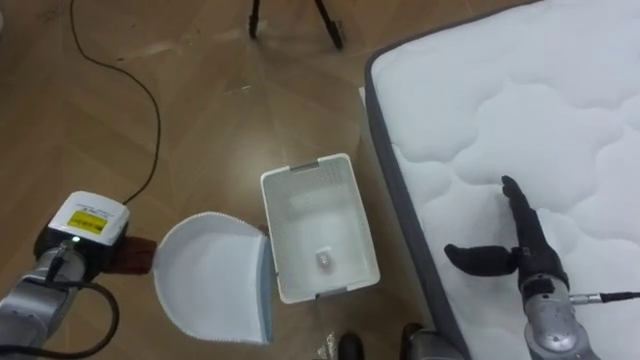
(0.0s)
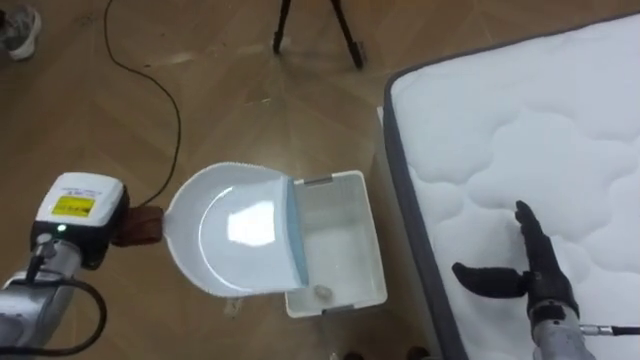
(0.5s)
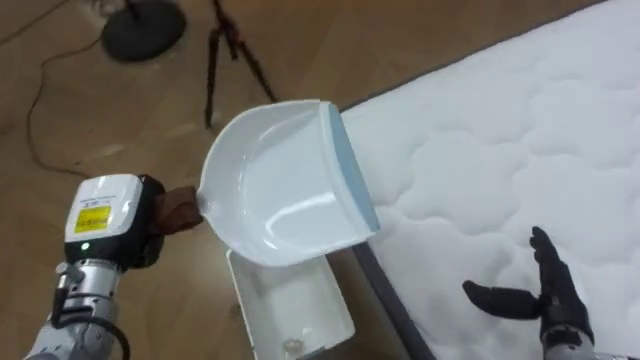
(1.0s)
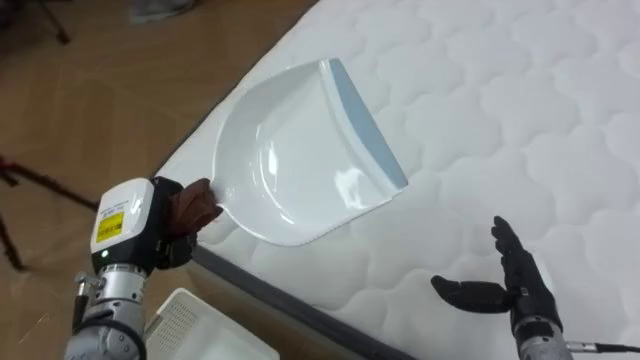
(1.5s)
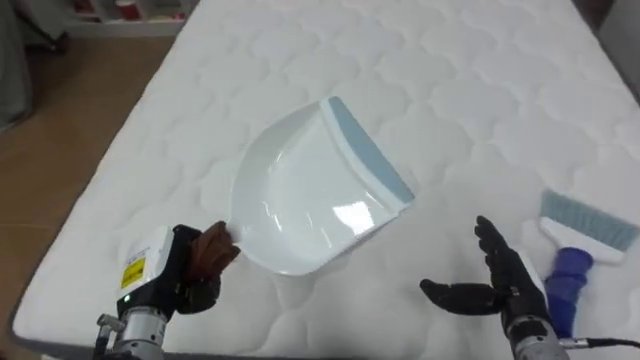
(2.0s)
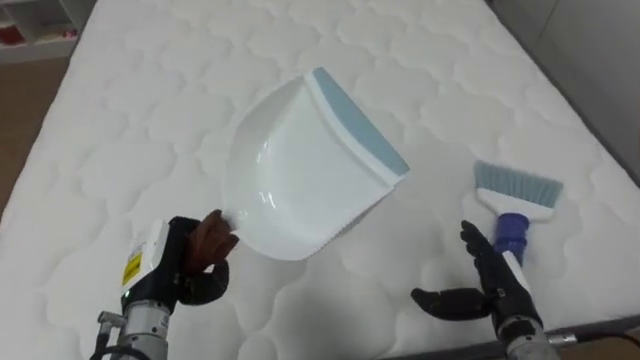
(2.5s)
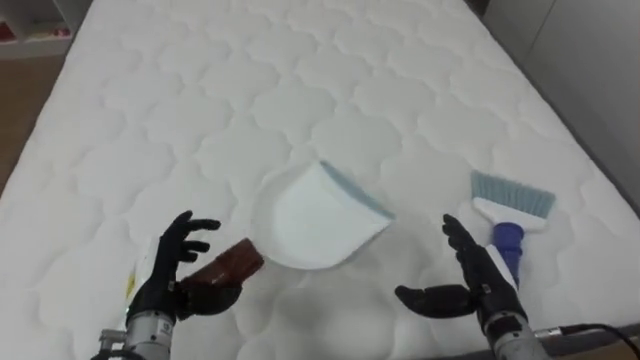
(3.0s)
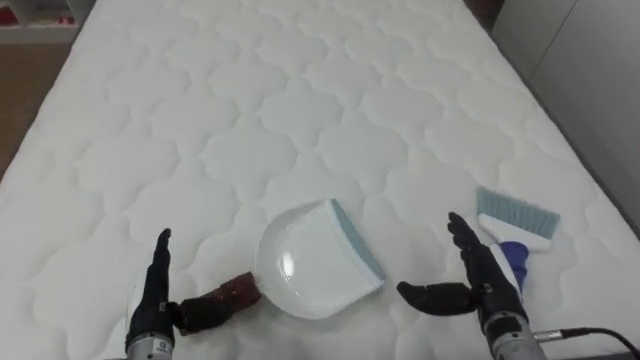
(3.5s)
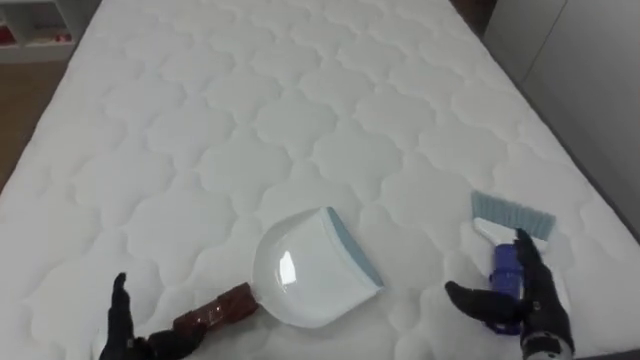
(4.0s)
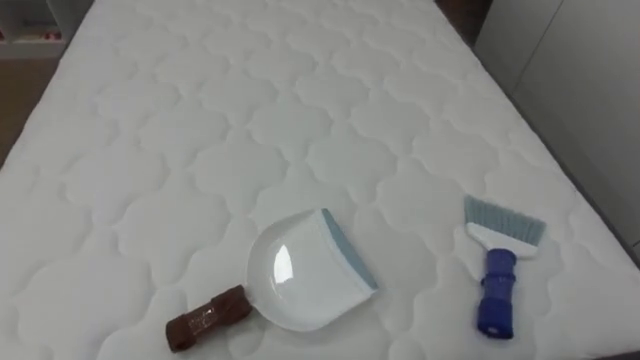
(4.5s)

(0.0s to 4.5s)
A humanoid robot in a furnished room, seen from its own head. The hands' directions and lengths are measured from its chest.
Task of the whole recording: Pick up the brush on your right and the dustpan on your left. Use the brush to sweep the crumpled paper on the bed into the dustpan, then turn left and empty it into the basket.
0.0s - 2.0s: The robot turns to its right by some 80 degrees. The left hand is displaced to the right and backward by about 10 cm. Meanwhile the right hand moves approximately 5 cm.

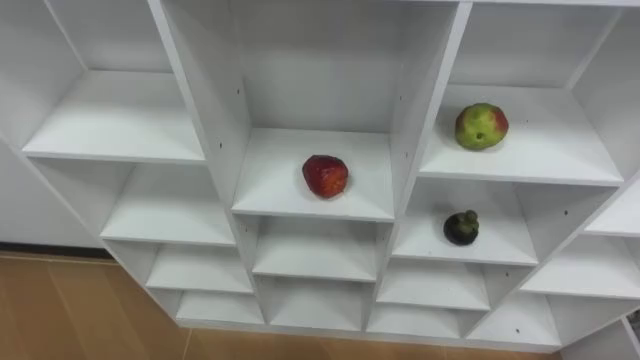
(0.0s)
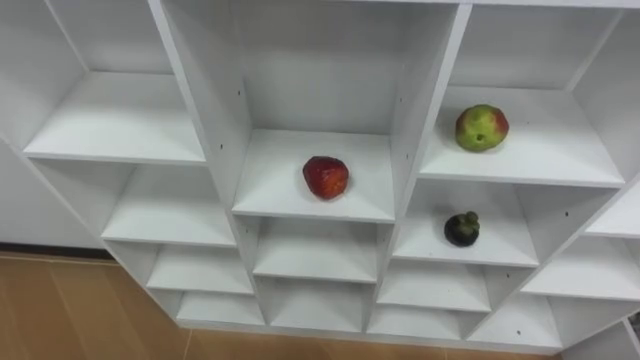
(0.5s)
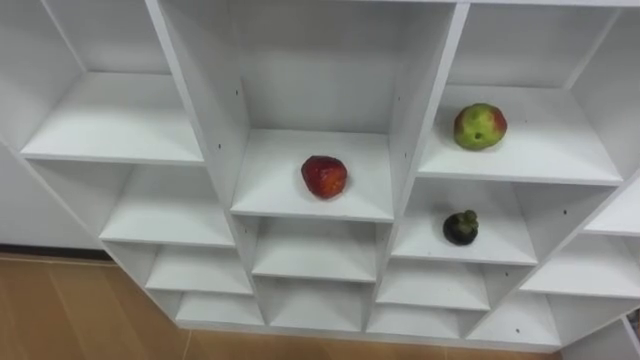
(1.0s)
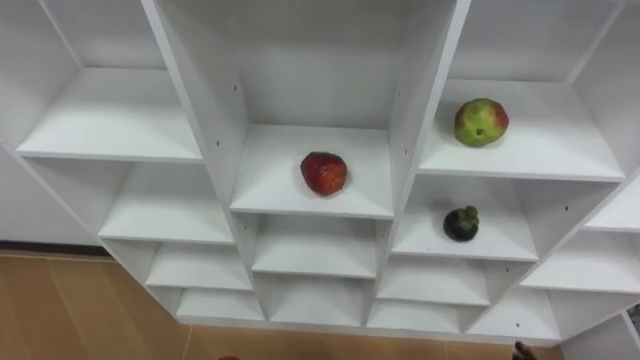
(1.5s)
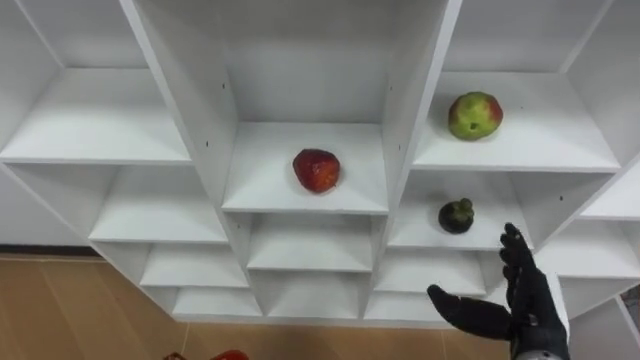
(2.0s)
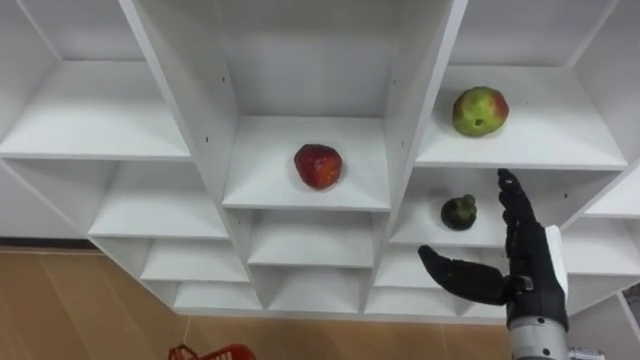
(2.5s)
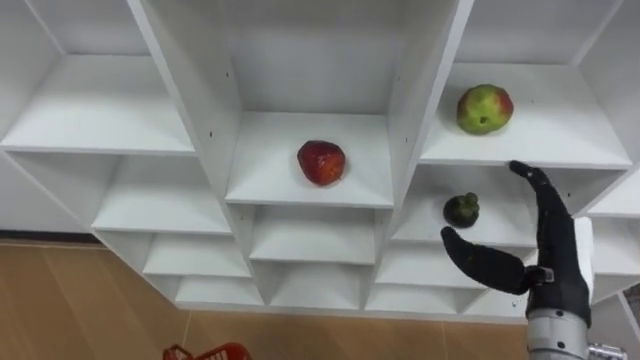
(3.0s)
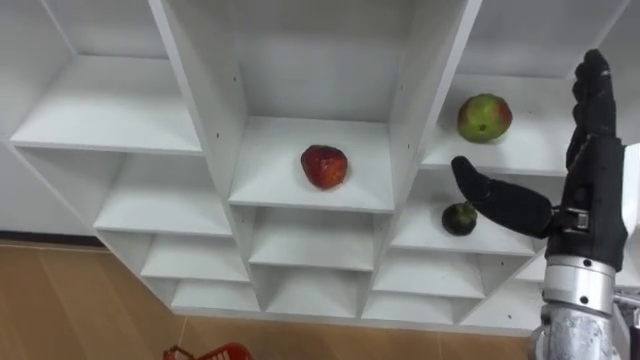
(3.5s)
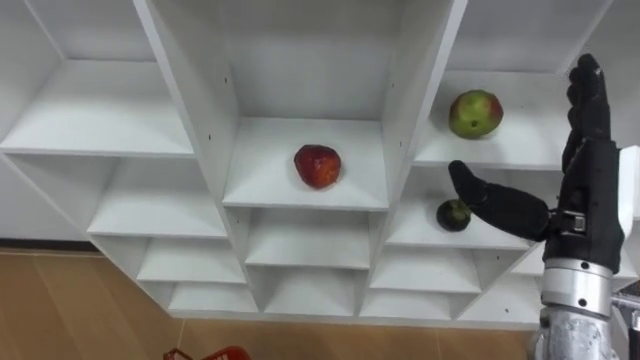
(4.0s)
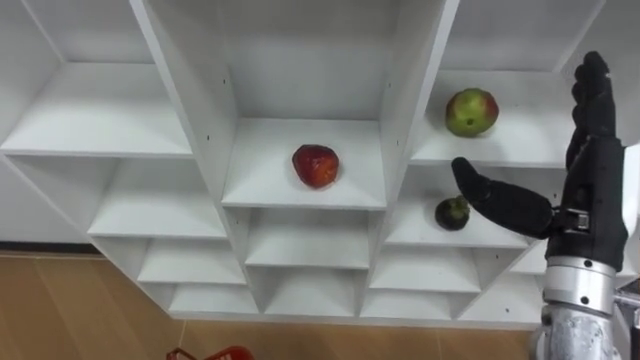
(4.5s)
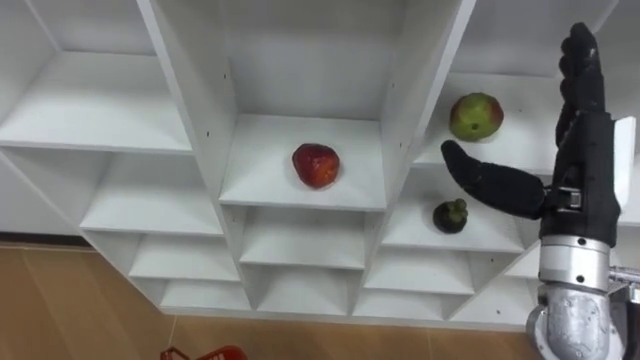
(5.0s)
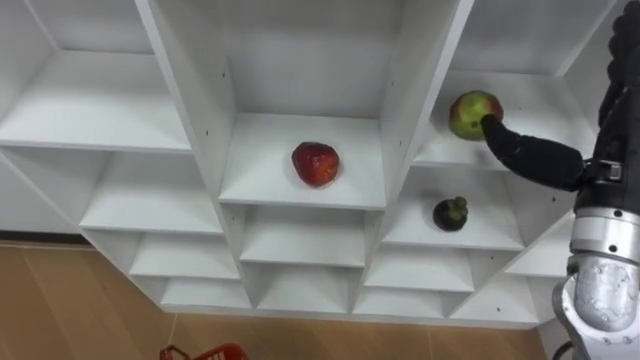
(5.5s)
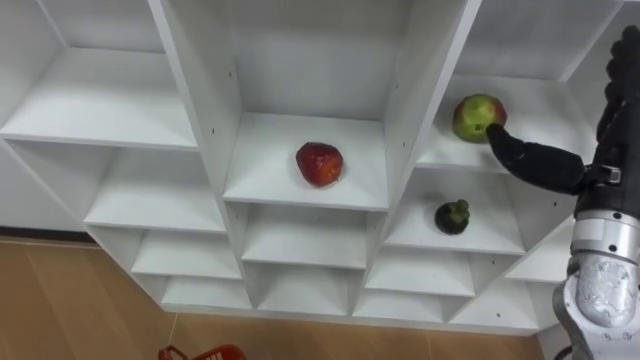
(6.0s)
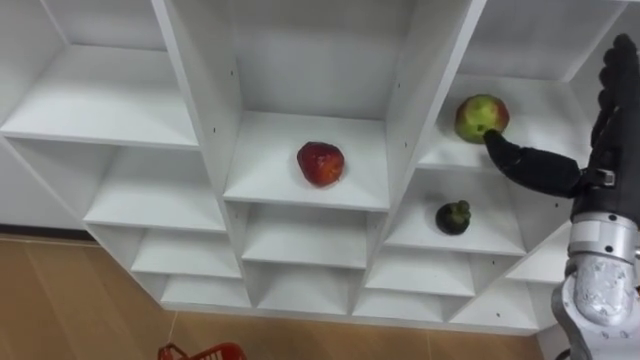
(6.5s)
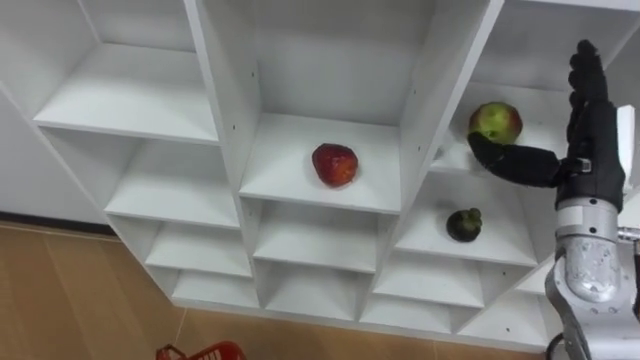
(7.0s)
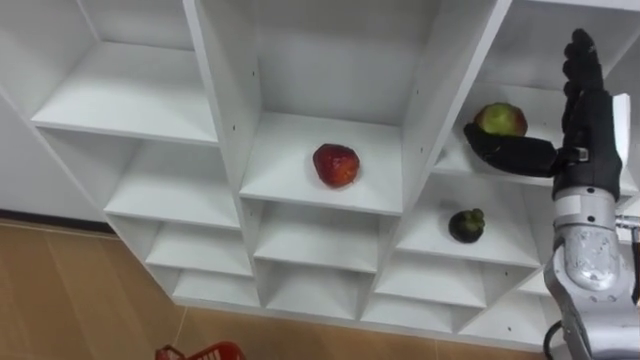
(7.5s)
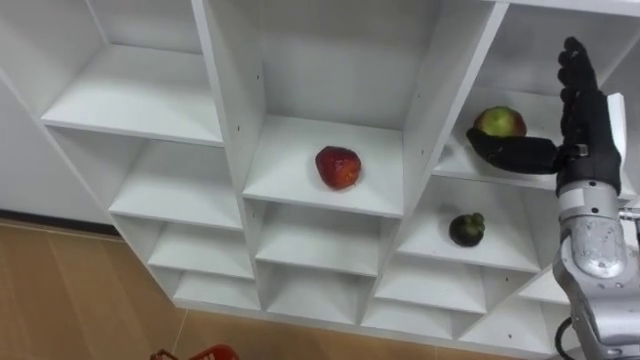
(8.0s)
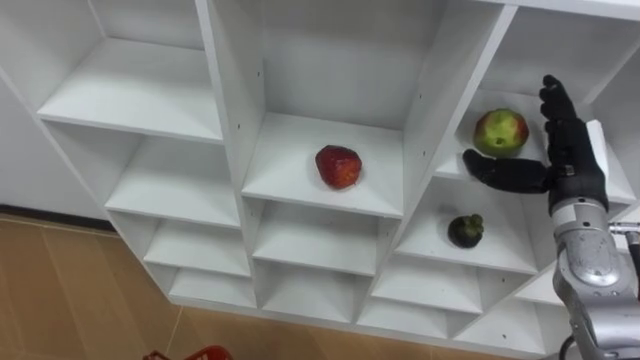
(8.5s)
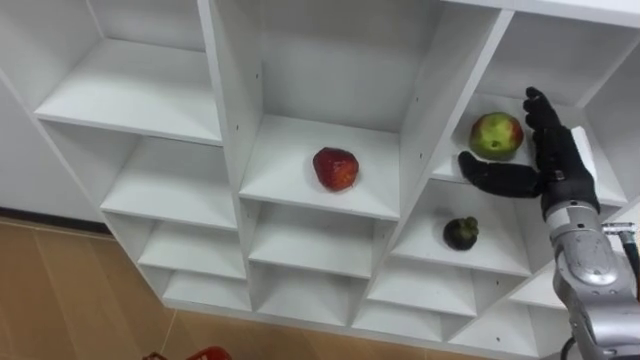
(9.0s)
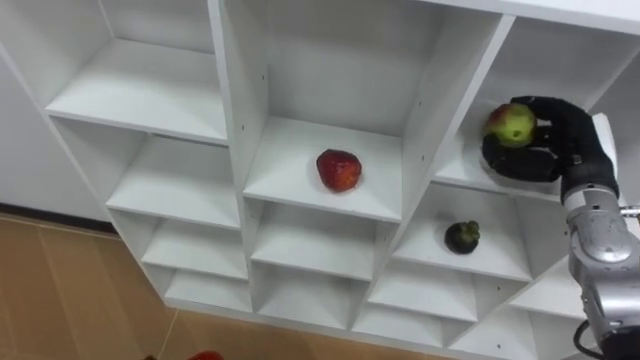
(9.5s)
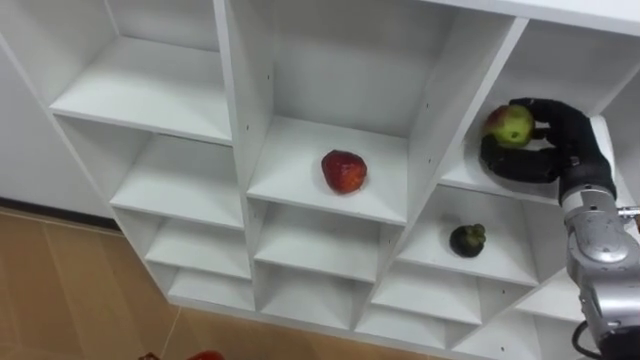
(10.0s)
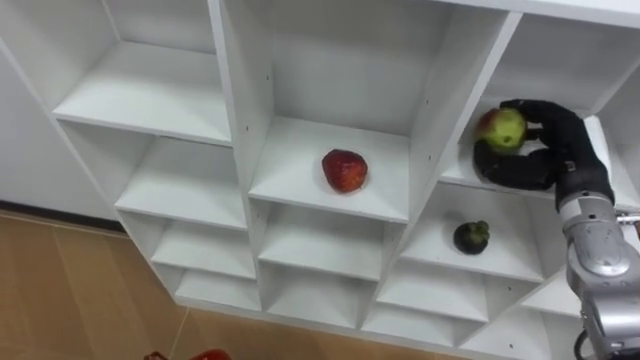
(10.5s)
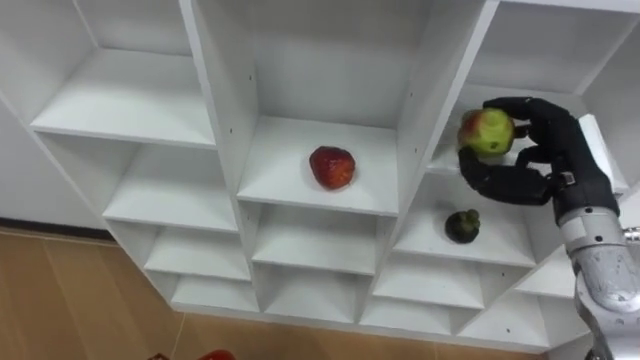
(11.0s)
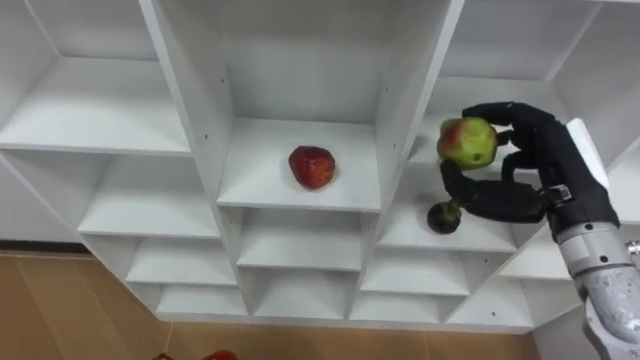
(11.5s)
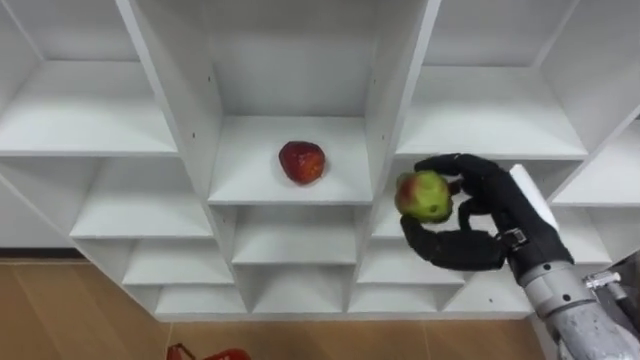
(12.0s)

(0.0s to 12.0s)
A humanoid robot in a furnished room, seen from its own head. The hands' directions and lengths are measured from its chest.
Task of the whole recording: Hold the basket and collect the fruits from 3 different cells of the closet into it.
2.0s - 4.0s: The right hand goes some 15 cm upward.
4.0s - 6.0s: The right hand shifts by some 5 cm.
6.0s - 8.0s: The right hand ends up roughly 5 cm from where it was.
8.0s - 10.0s: The right hand moves downward, roughly 5 cm, and closes.
10.0s - 12.0s: The right hand travels to the left and backward by approximately 15 cm.

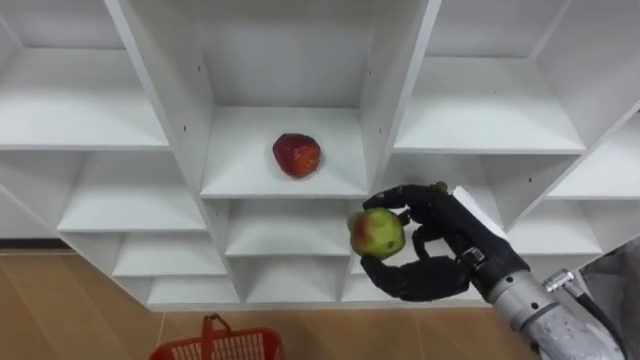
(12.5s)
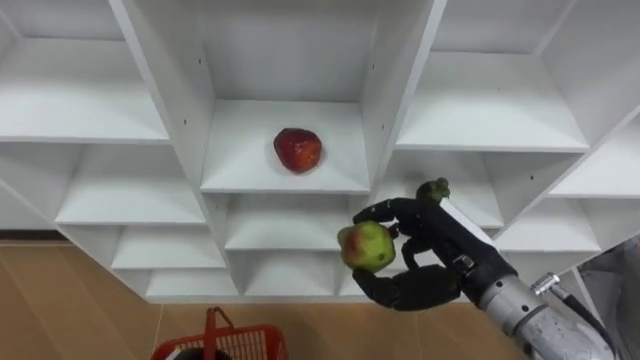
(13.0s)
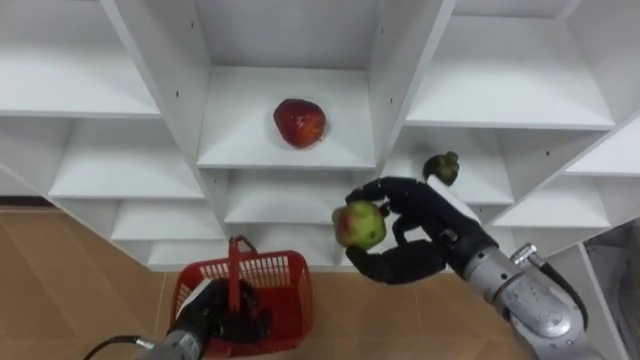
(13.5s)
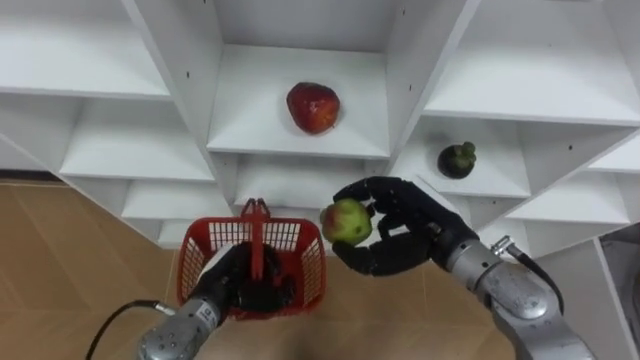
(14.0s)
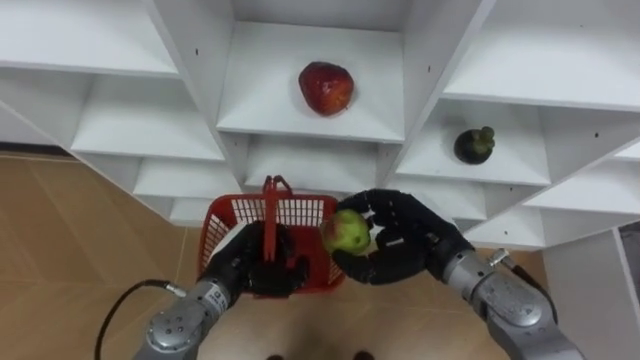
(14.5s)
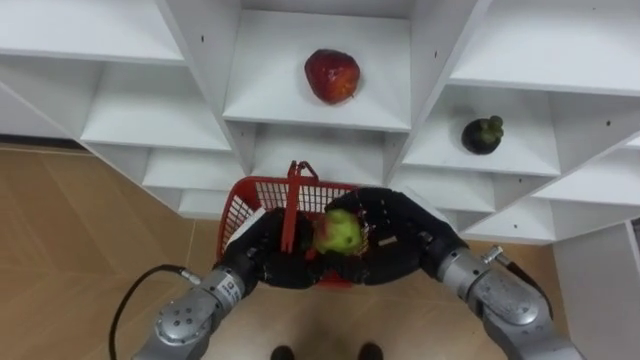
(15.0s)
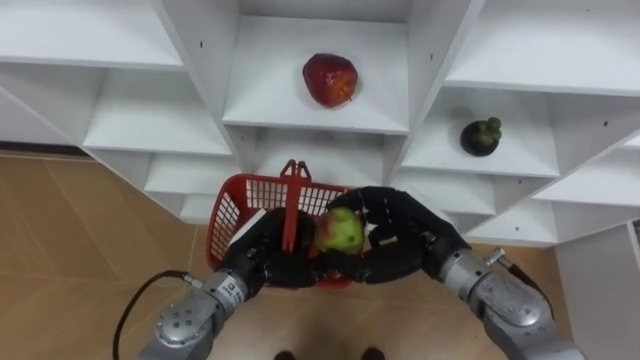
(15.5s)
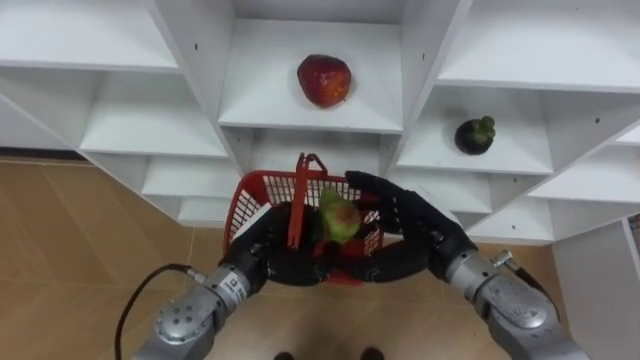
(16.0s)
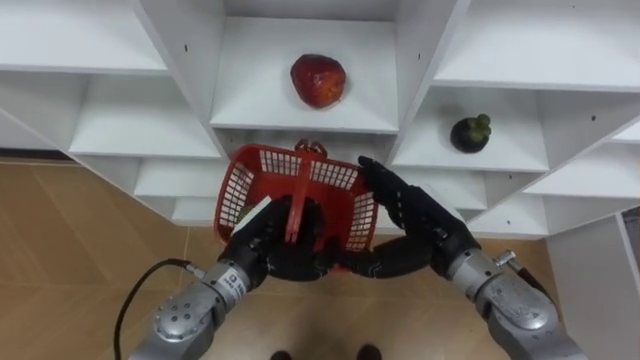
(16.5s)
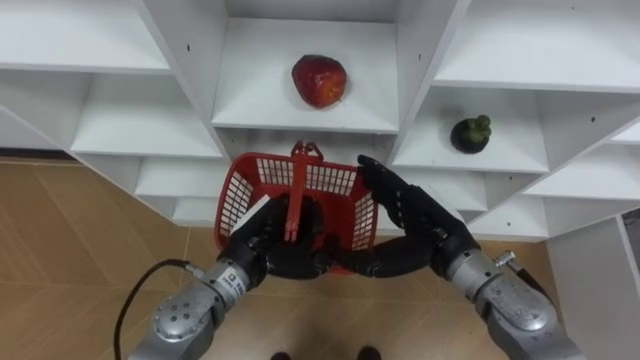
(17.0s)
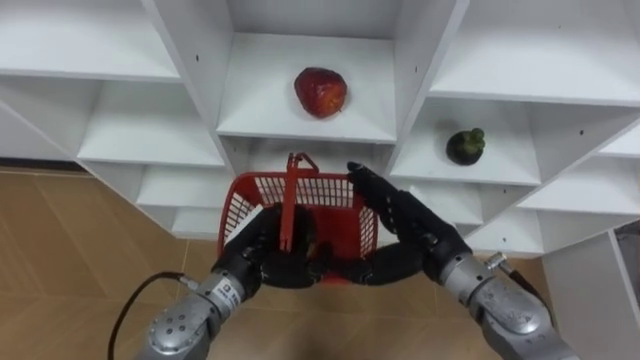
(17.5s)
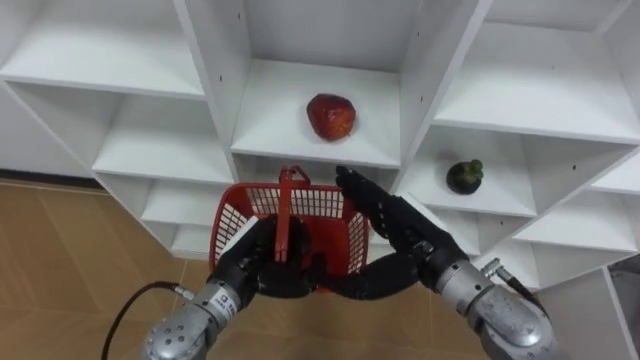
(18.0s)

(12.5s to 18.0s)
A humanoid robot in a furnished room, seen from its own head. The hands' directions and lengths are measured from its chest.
Task of the whole recording: Hold the basket and collect the fruits from 3 different cells of the closet into it.
12.5s - 14.5s: The right hand moves downward, roughly 5 cm.
14.5s - 16.0s: The right hand opens its fingers. The left hand shifts by roughly 5 cm.
